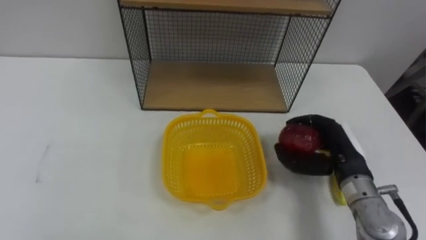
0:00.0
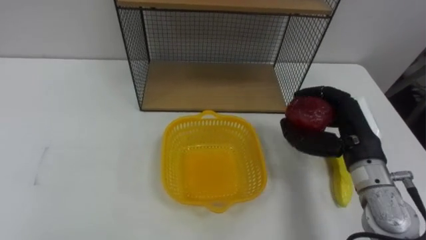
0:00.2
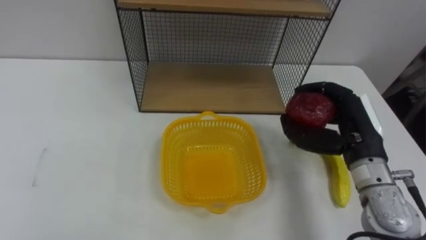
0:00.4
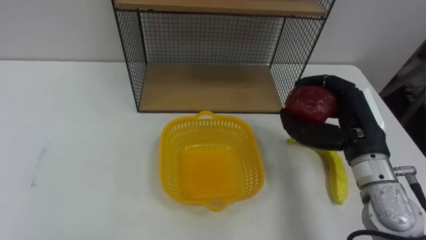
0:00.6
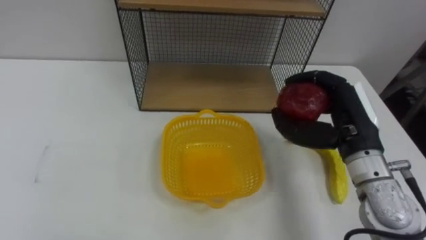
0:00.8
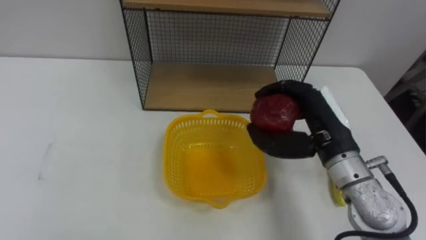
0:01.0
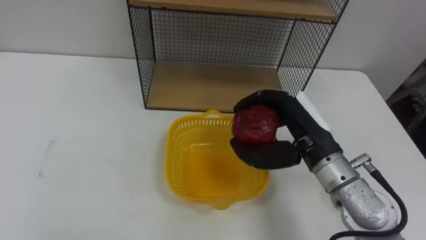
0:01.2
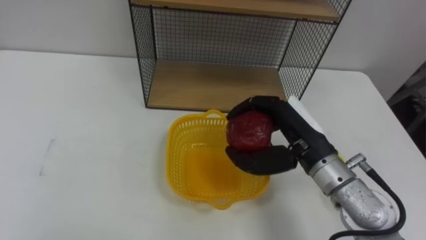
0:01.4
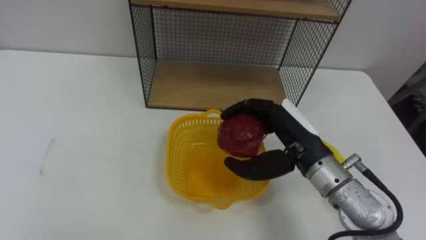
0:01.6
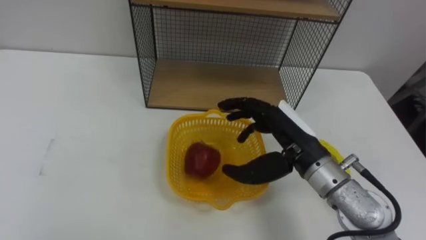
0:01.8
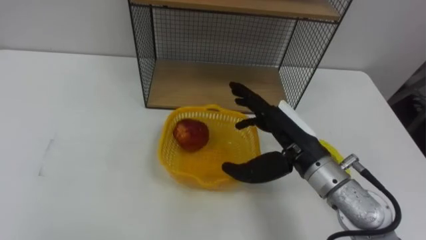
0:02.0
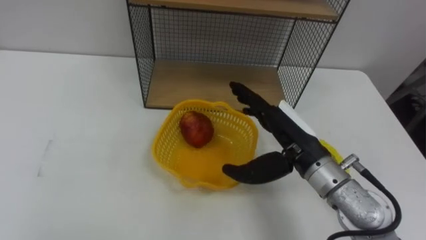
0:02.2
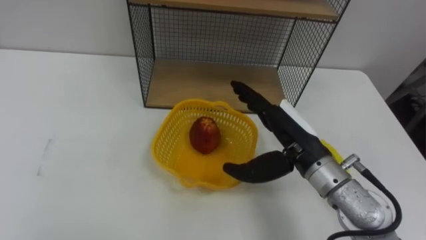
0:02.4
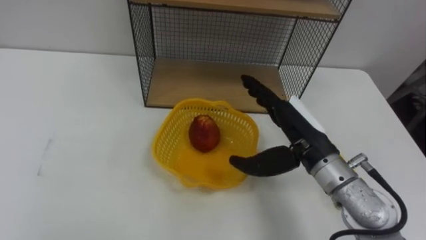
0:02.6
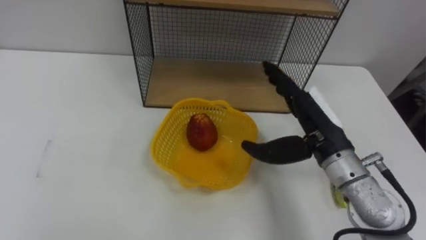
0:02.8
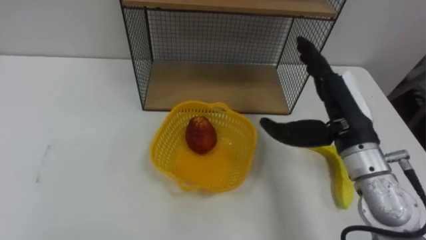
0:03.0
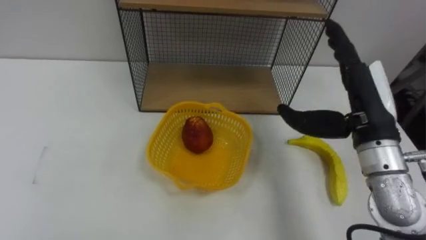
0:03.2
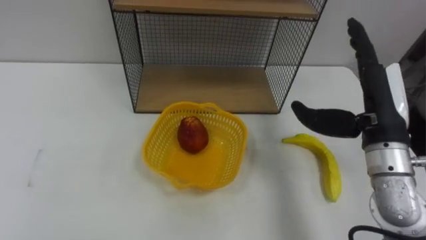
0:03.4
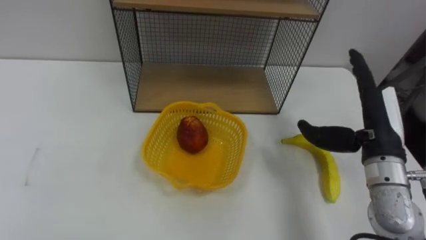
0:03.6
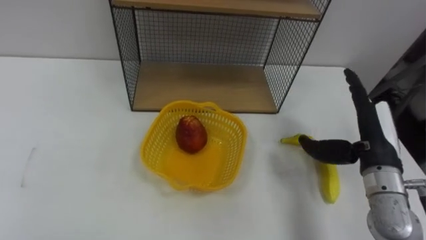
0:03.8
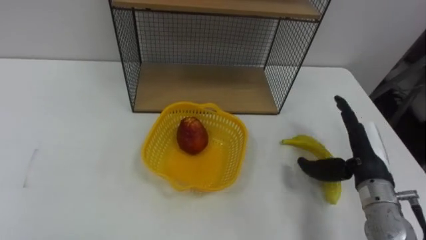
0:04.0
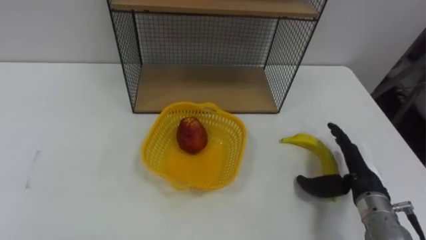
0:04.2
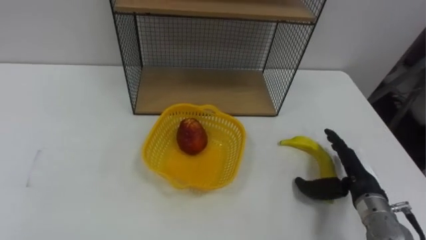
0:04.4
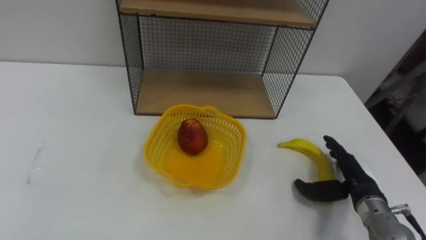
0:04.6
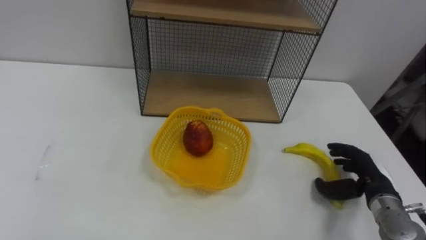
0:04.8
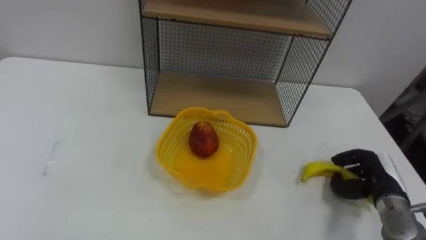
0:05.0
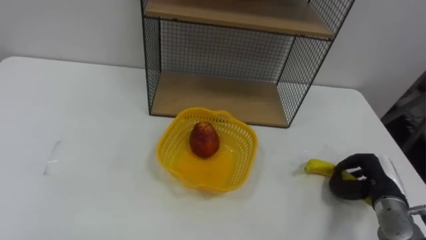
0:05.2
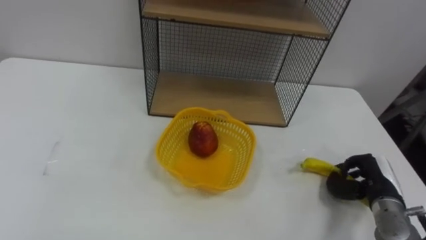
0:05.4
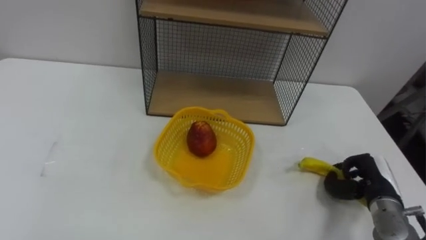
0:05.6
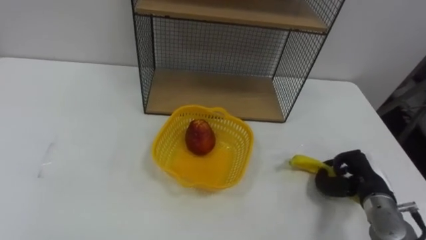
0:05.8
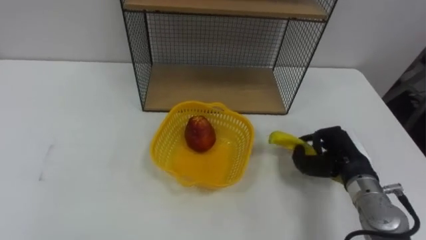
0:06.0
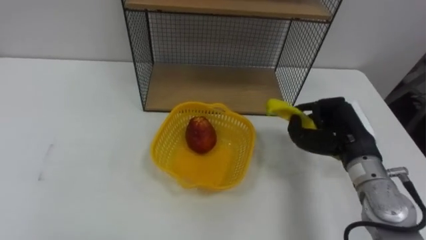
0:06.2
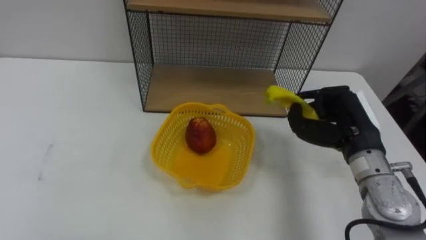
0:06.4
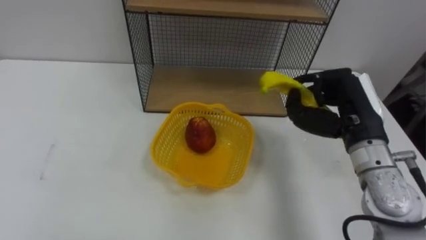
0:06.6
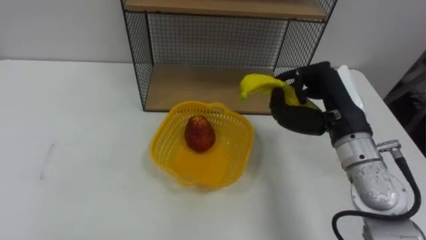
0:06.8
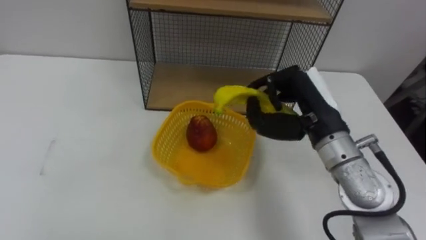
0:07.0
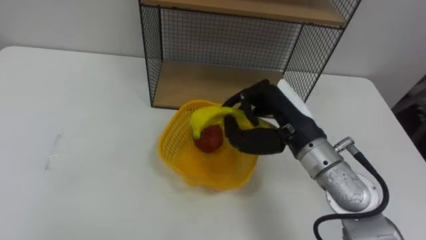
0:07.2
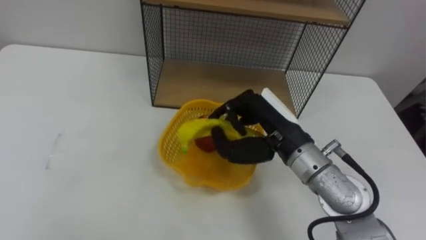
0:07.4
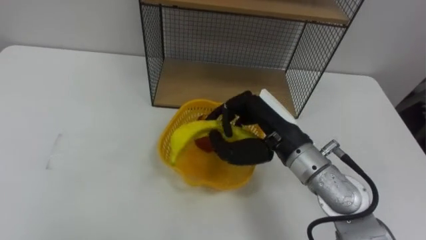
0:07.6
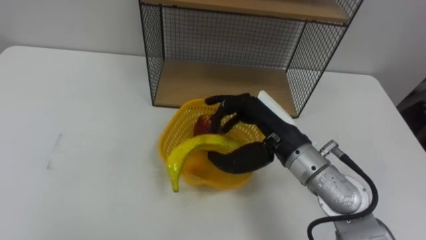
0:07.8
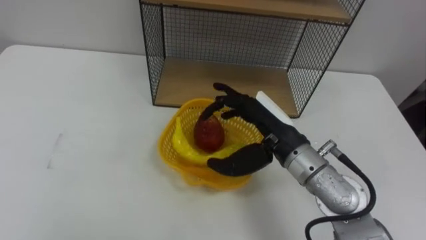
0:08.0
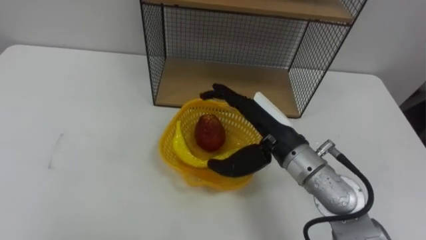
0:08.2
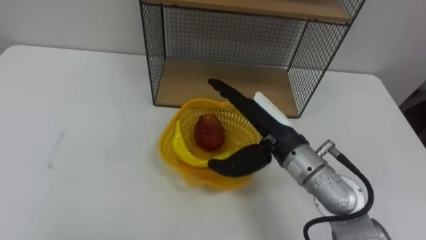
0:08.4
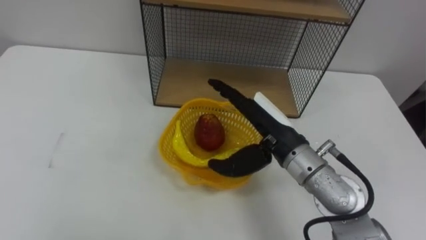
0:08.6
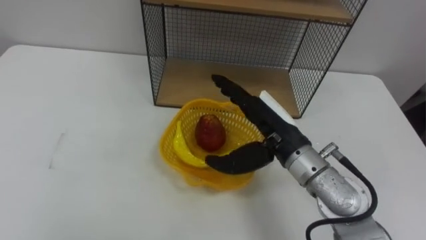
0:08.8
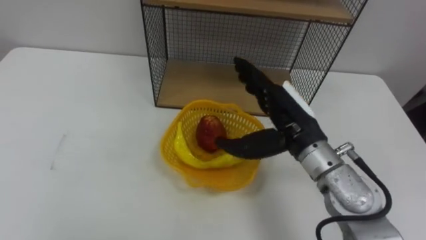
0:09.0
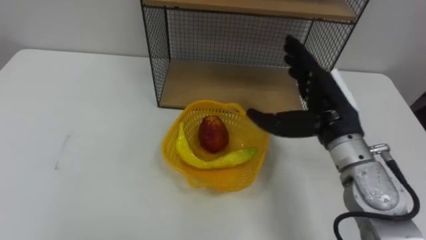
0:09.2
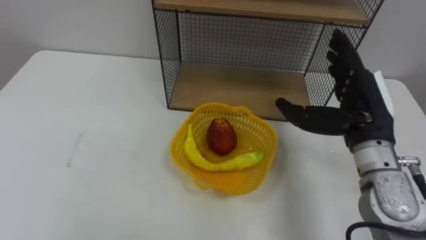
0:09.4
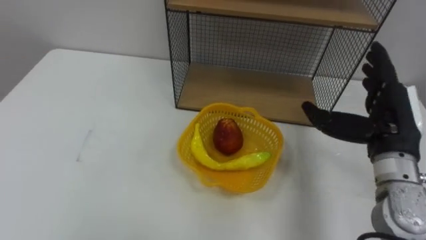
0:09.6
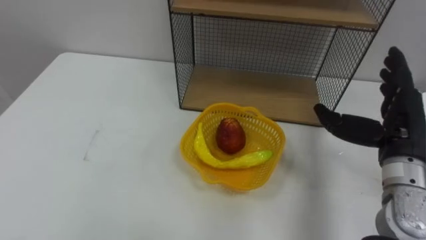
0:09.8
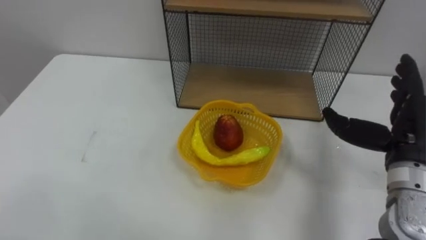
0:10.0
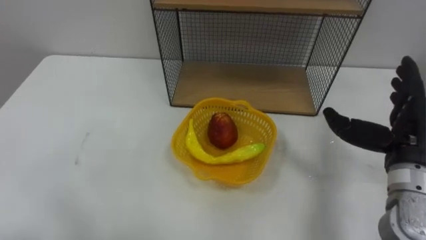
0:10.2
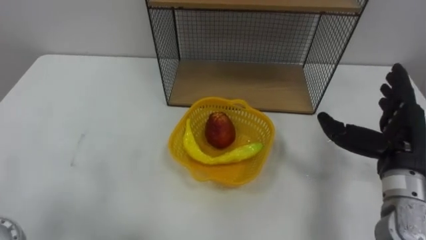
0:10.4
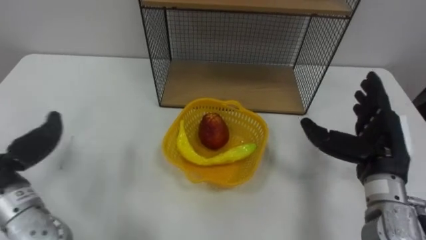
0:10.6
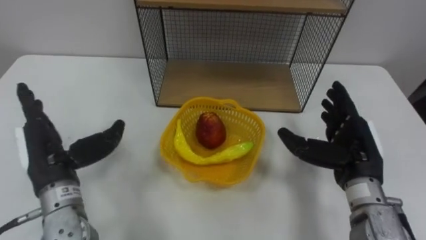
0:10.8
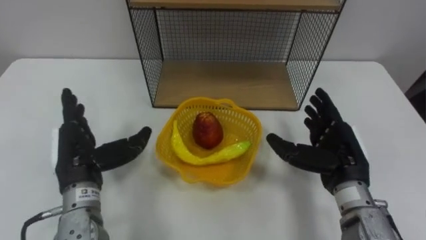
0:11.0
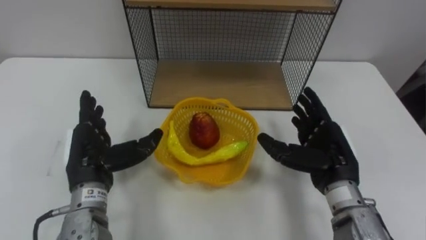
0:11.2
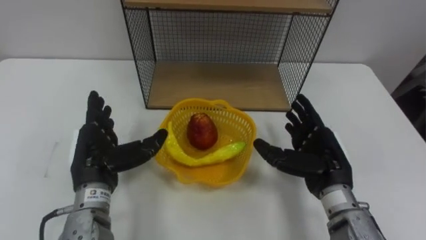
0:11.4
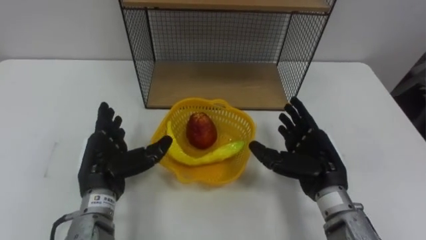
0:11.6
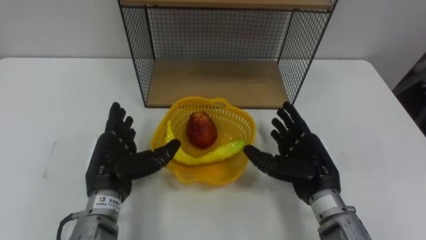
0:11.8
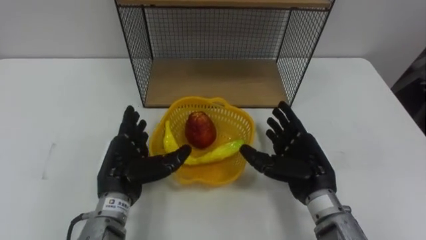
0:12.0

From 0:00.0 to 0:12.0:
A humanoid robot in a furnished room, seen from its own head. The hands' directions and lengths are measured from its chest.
Task of the whole recording: Put the fruit on the table into the basket, then place the basket on the shelf.
From 0:00.0 to 0:01.6: The right hand shifts roughly 15 cm to the left and upward.
From 0:01.6 to 0:03.0: The right hand goes some 5 cm to the right, and opens its fingers.
From 0:03.0 to 0:04.4: The right hand heads downward and to the right, covering roughly 20 cm.
From 0:04.4 to 0:06.0: The right hand closes up.
From 0:06.0 to 0:07.6: The right hand shifts approximately 20 cm to the left and upward.
From 0:07.6 to 0:09.0: The right hand opens its fingers.
From 0:09.0 to 0:10.4: The right hand moves to the right, some 15 cm.
From 0:10.4 to 0:12.0: The right hand travels to the left and downward by about 15 cm.

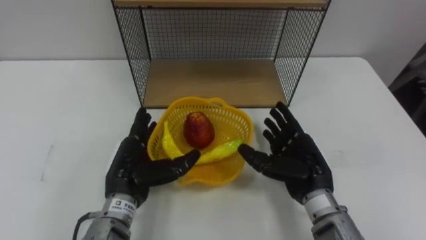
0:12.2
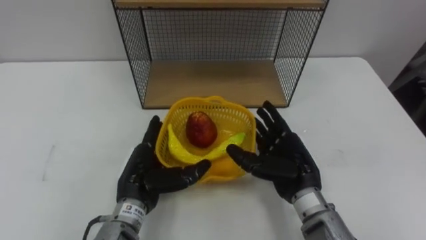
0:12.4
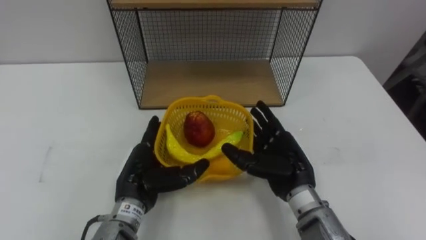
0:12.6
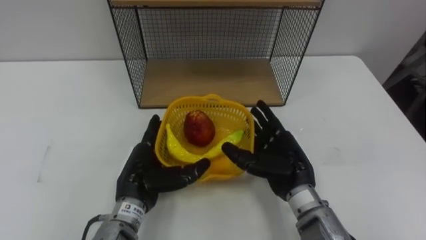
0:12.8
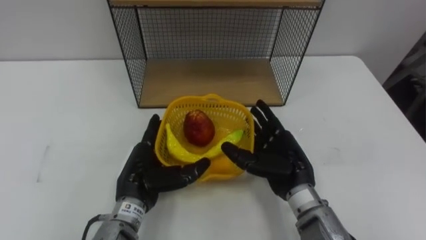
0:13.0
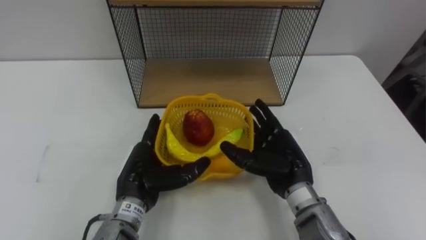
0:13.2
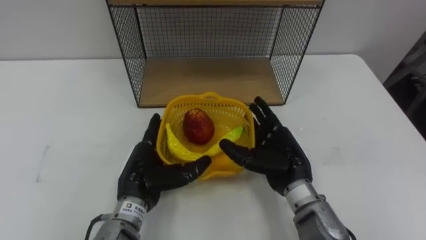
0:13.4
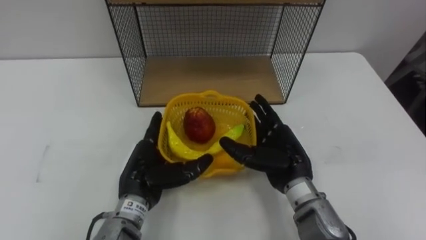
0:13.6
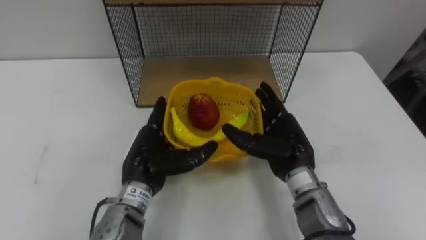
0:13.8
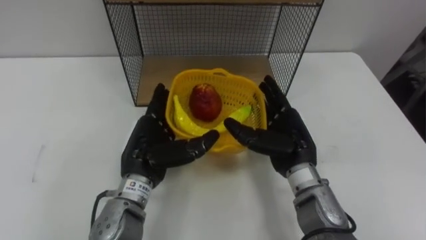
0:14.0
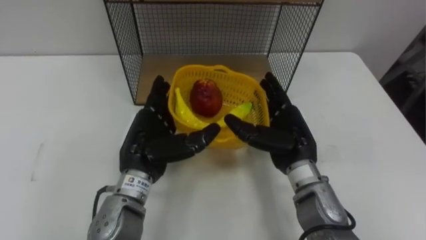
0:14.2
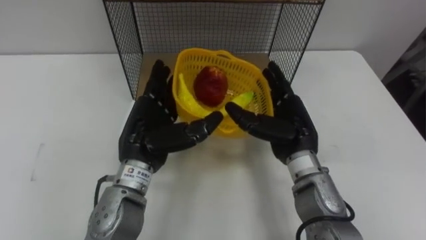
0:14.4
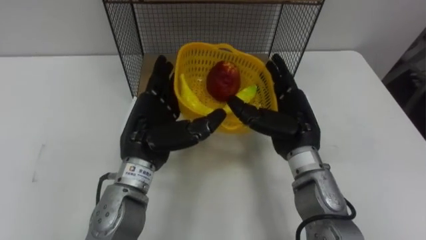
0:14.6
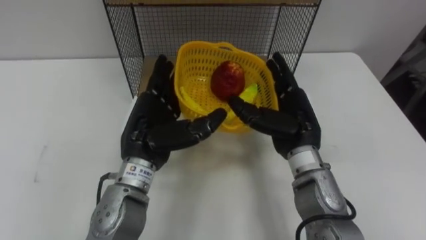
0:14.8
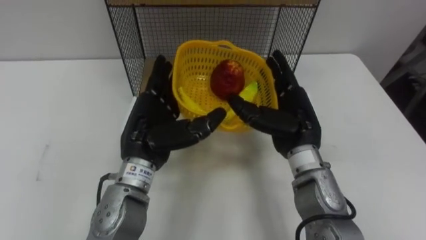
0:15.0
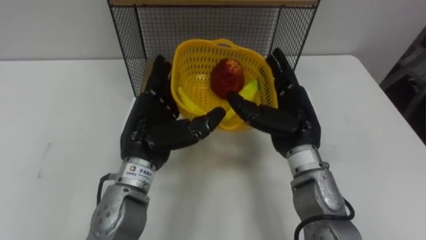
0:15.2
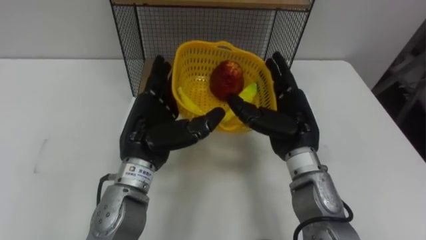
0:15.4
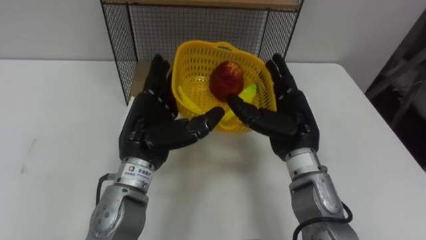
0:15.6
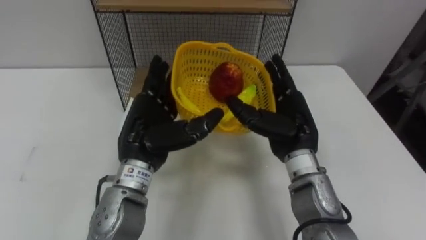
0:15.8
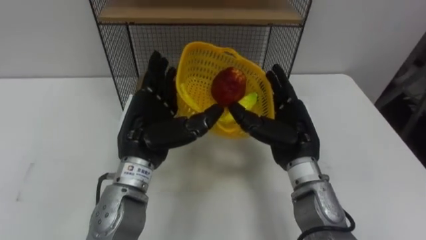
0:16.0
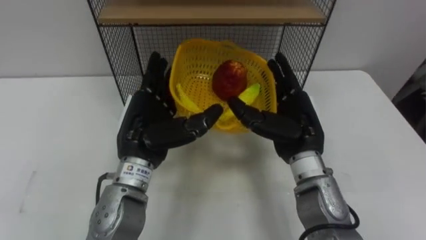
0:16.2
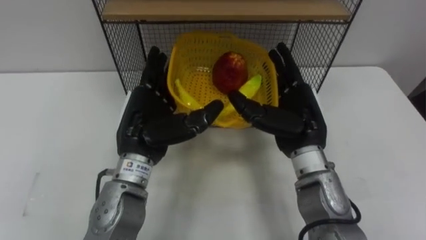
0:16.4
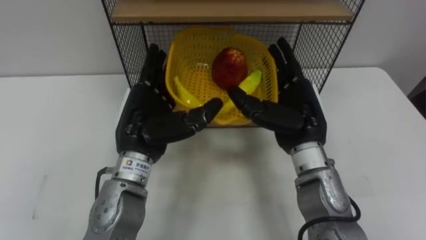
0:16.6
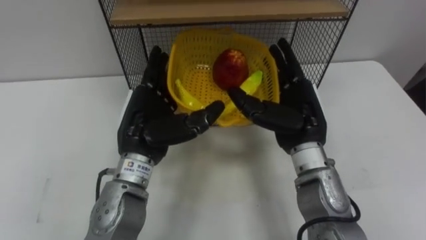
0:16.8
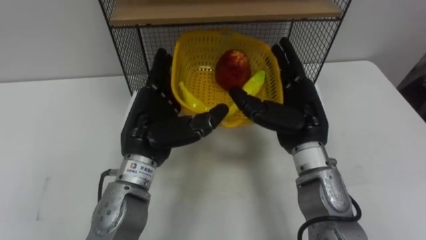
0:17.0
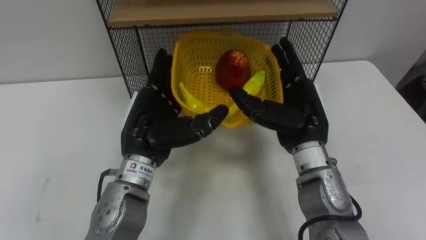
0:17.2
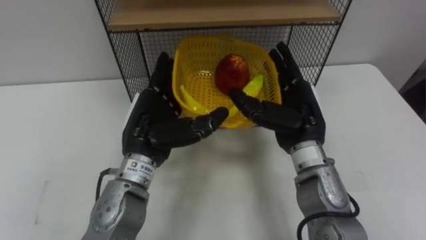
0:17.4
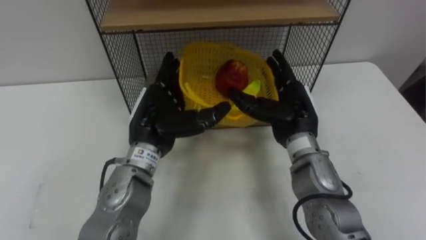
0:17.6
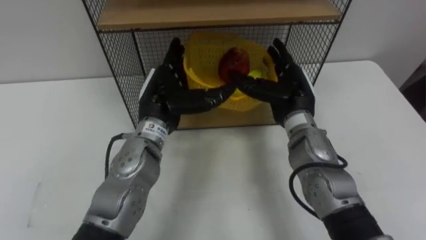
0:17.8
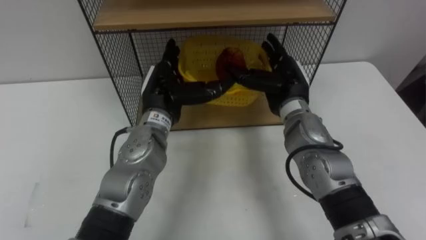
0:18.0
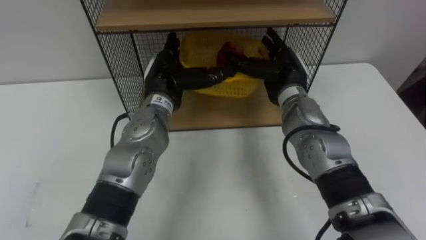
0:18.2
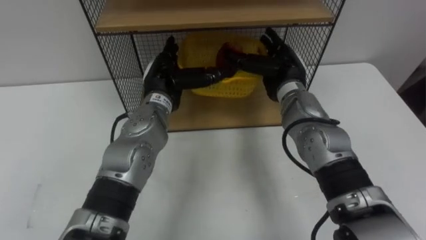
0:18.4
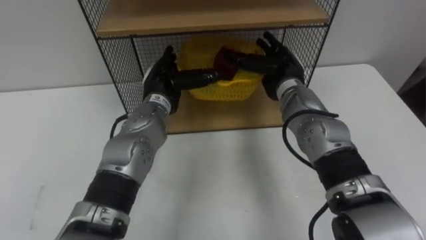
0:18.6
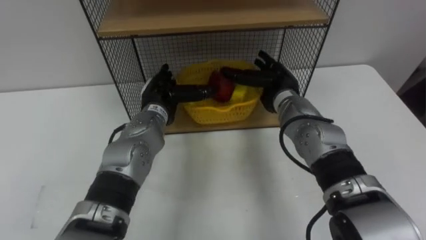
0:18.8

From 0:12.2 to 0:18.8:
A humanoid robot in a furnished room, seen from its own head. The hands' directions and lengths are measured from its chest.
Task of the whole recording: Put the fruit on the table into the basket, then place the basket on the shelf.
From 0:12.2 to 0:13.8: The right hand shifts by about 5 cm.
From 0:13.8 to 0:15.4: The left hand is displaced upward by some 5 cm; the right hand moves approximately 5 cm.
From 0:17.2 to 0:18.8: The right hand shifts about 10 cm forward. Meanwhile the left hand is displaced forward and downward by roughly 15 cm.
